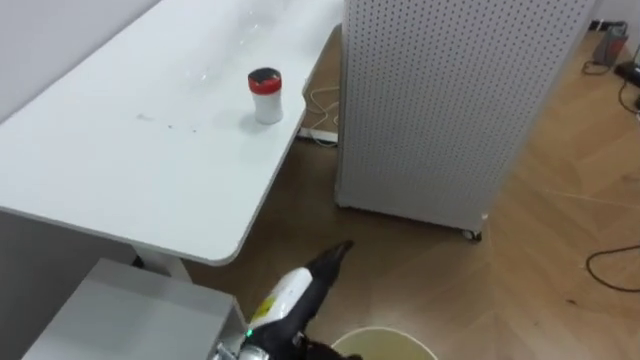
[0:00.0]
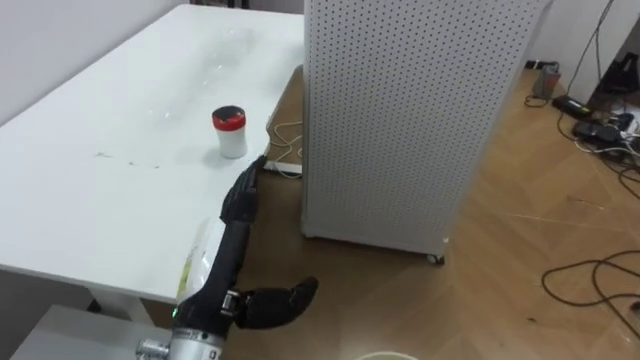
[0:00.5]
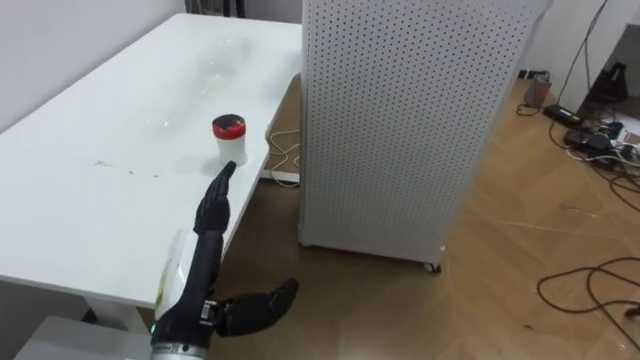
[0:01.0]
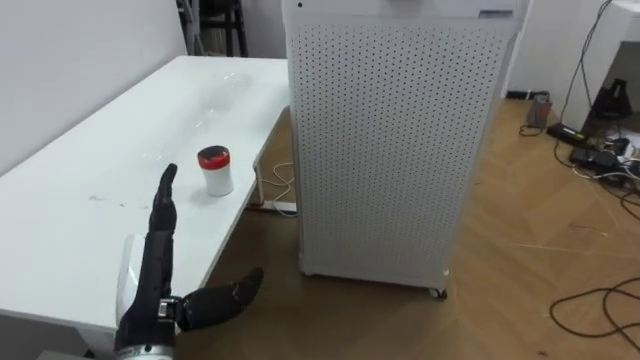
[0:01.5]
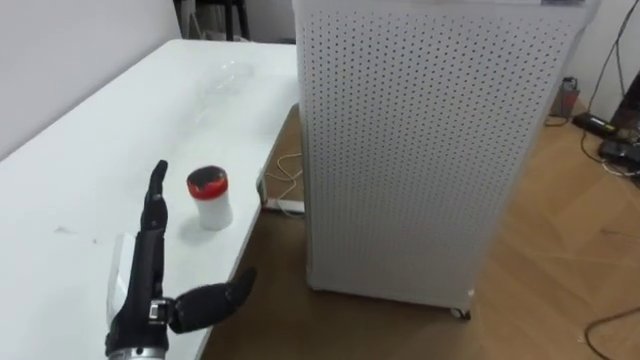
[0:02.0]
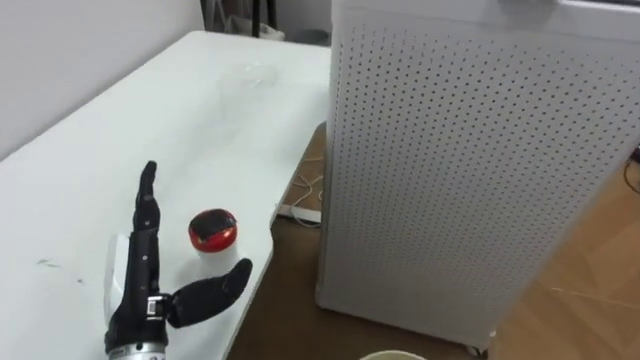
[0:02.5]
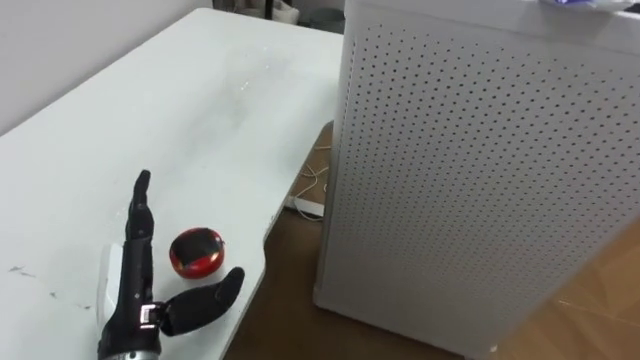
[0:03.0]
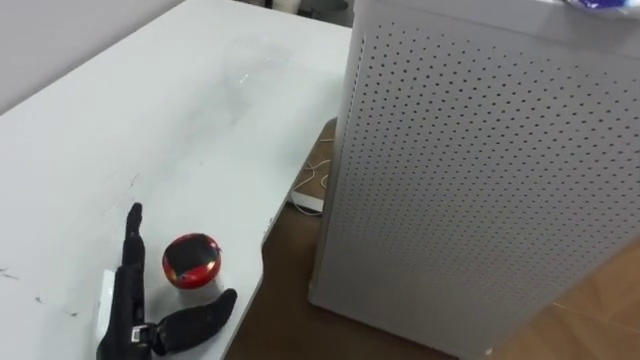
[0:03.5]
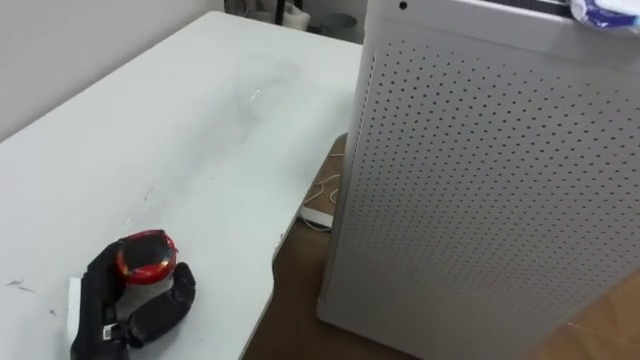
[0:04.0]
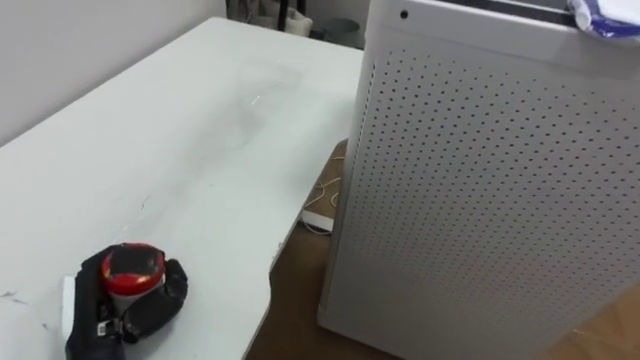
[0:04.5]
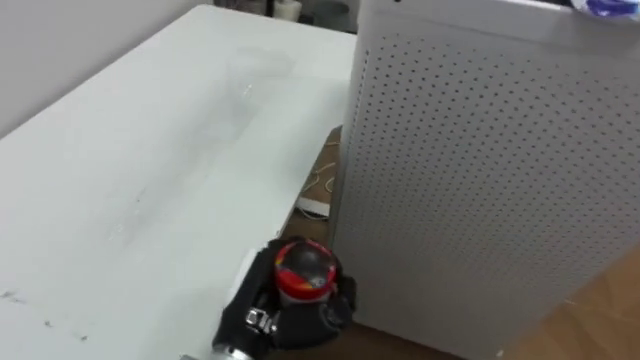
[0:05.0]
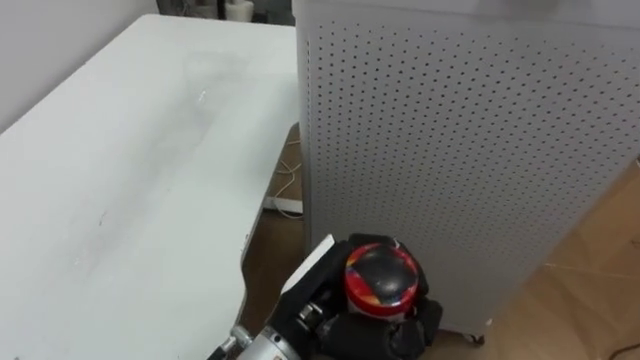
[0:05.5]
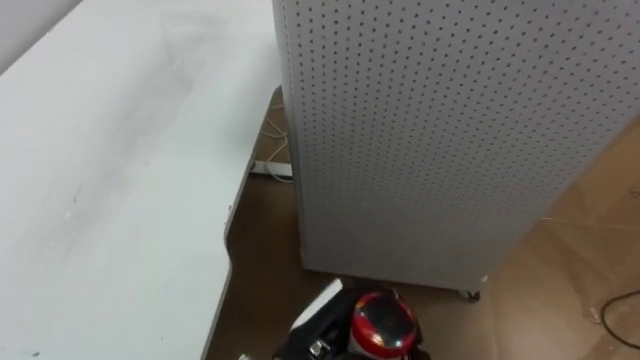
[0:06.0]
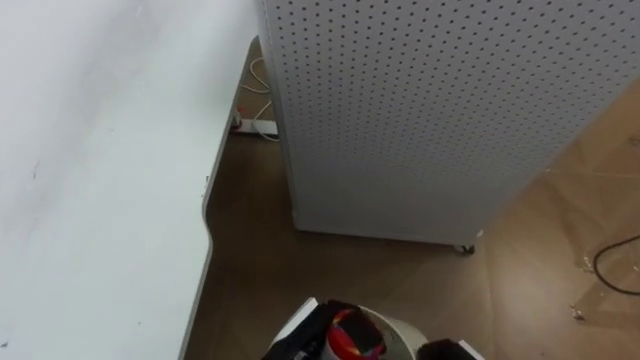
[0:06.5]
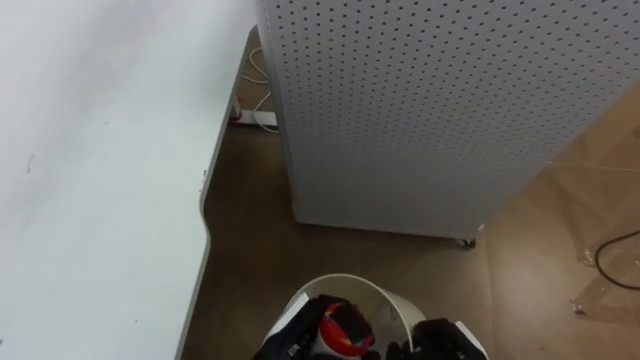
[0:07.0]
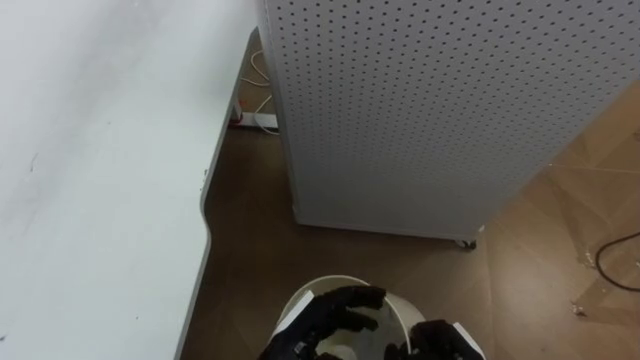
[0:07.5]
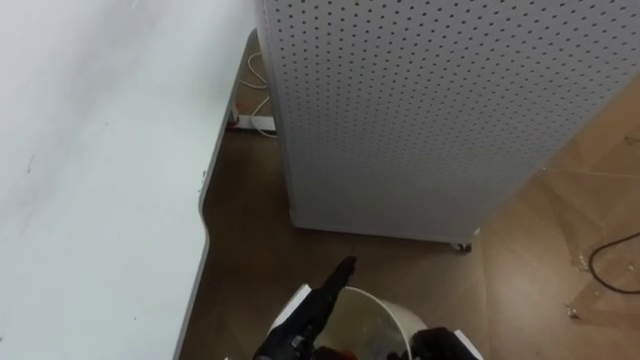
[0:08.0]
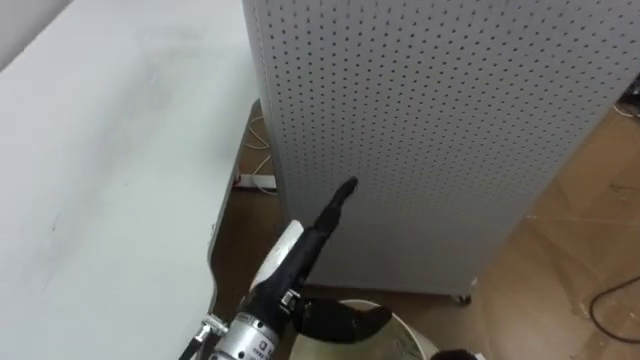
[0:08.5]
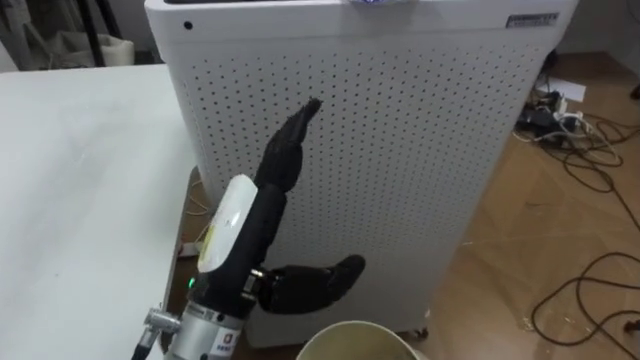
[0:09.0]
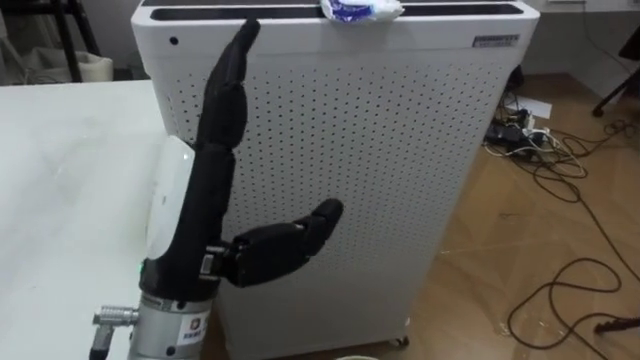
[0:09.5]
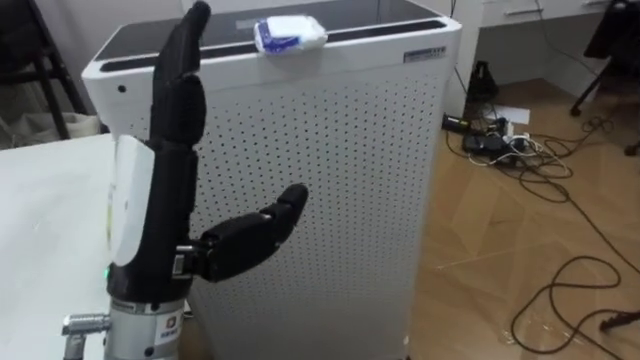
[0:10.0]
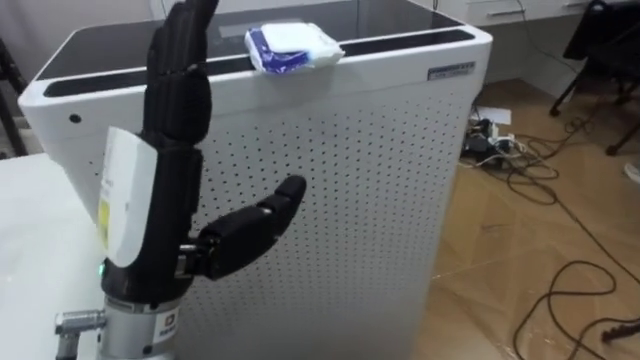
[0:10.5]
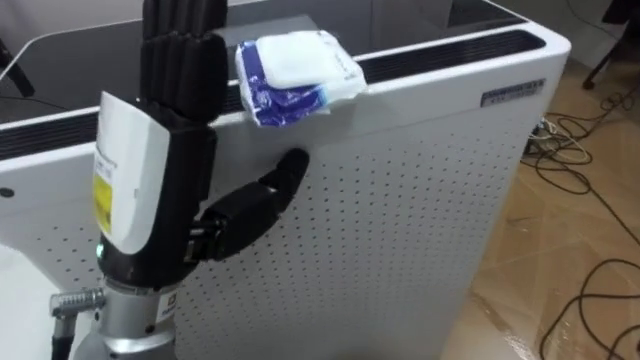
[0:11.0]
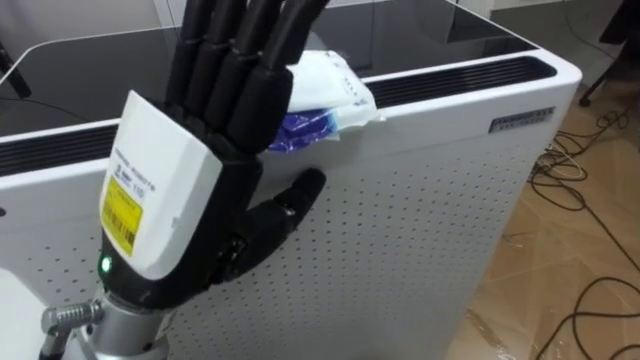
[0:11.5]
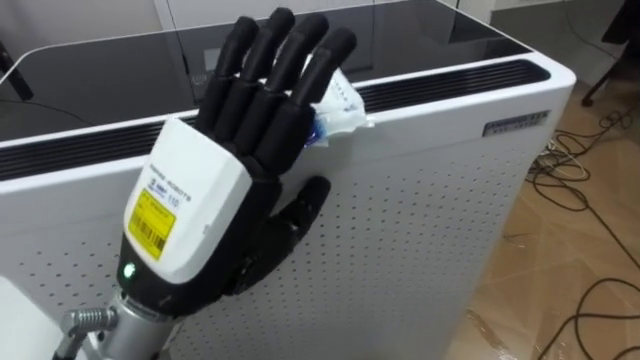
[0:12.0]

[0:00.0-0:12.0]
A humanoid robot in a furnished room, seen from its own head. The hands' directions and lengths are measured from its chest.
Task of the whole recording: Pick up the light blue package, the candy box, and the dark blue package separately, and put them into the trash can held in your right hand.
0:00.0 to 0:02.0: The left hand goes about 15 cm to the left and upward.
0:02.0 to 0:04.0: The left hand is displaced downward by approximately 5 cm, and closes up.
0:04.0 to 0:06.0: The left hand heads to the right, covering roughly 25 cm.
0:06.0 to 0:08.0: The left hand shifts roughly 5 cm downward, and opens up.
0:08.0 to 0:10.0: The robot turns to its right by roughly 20 degrees. The left hand is displaced upward and to the left by about 25 cm.

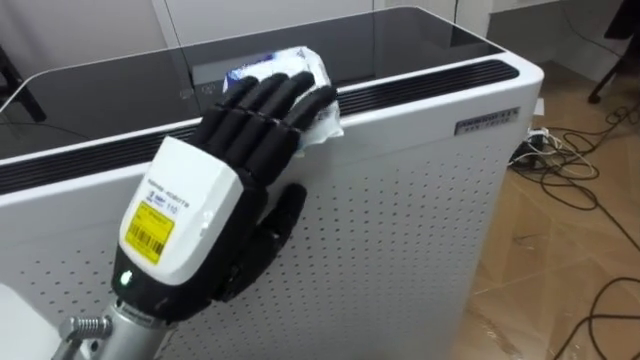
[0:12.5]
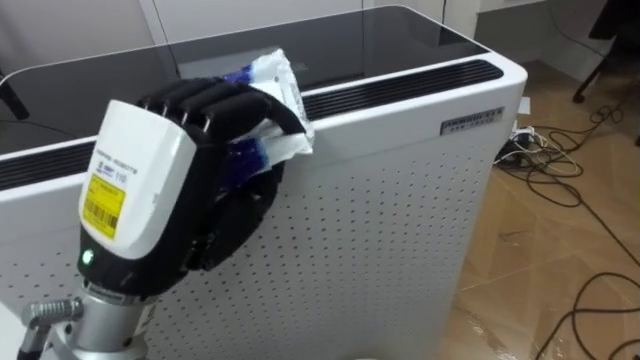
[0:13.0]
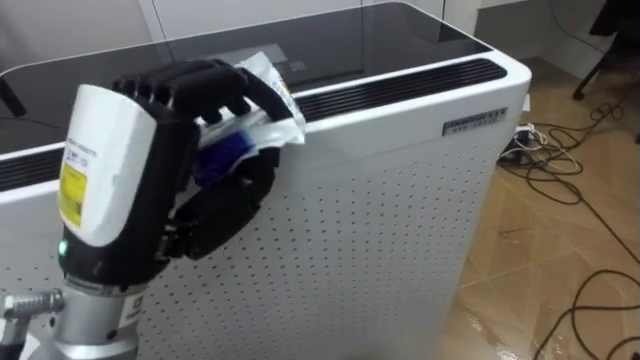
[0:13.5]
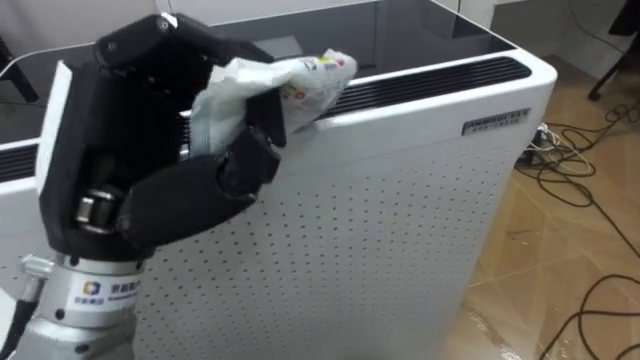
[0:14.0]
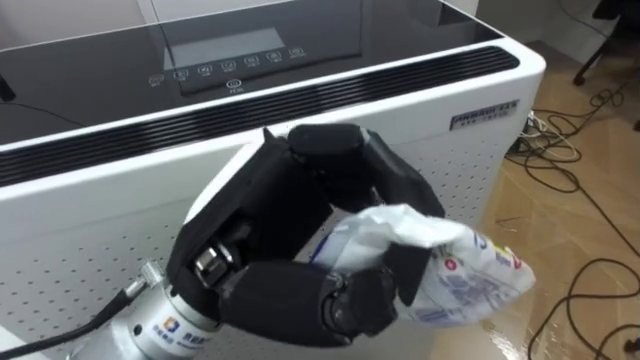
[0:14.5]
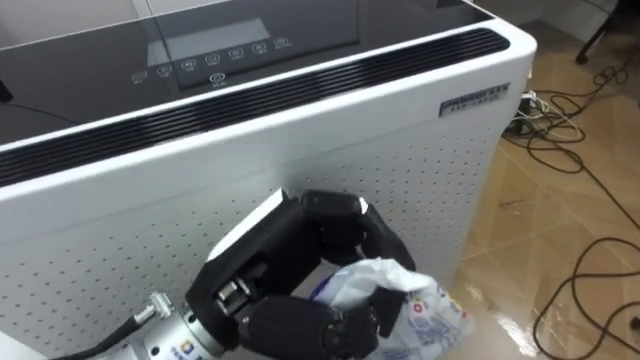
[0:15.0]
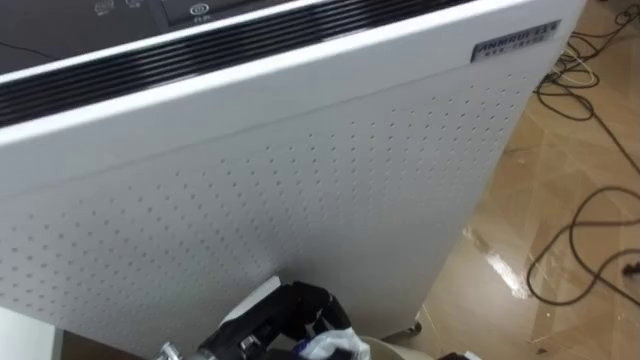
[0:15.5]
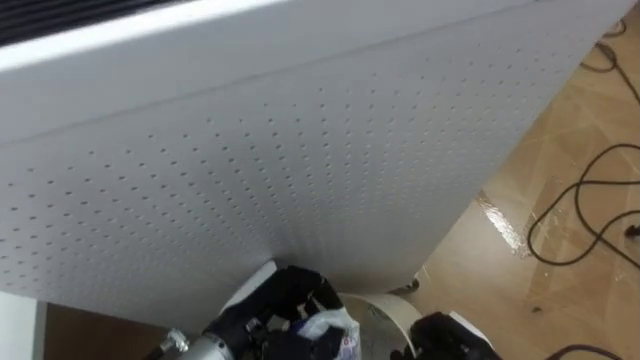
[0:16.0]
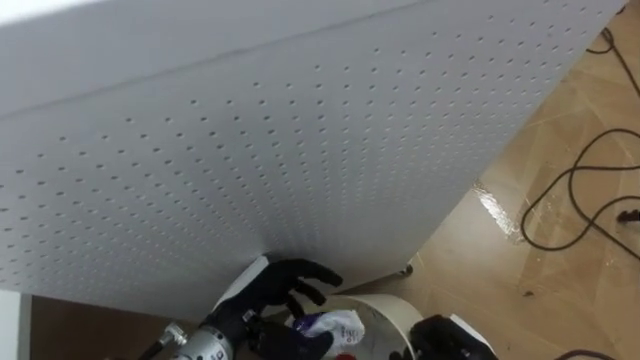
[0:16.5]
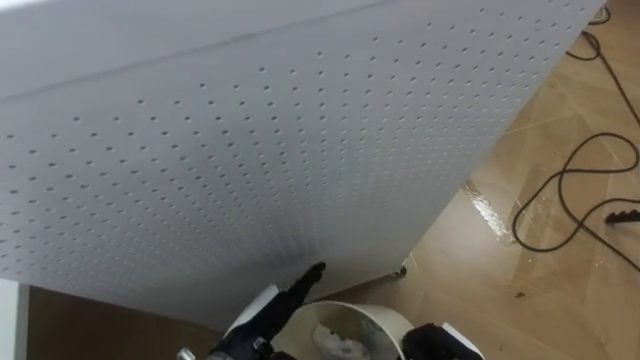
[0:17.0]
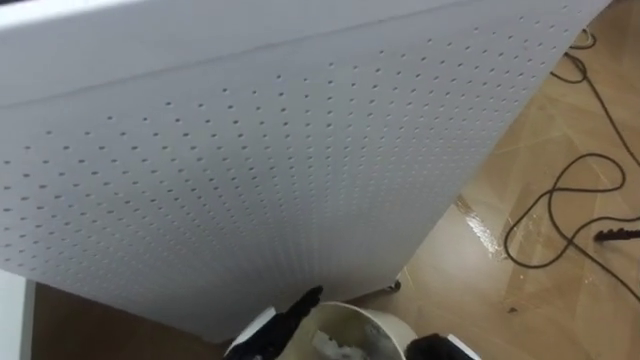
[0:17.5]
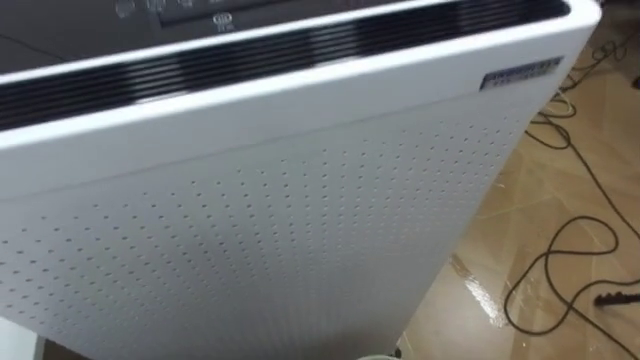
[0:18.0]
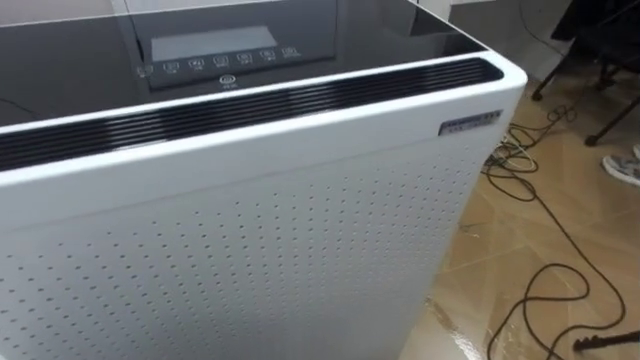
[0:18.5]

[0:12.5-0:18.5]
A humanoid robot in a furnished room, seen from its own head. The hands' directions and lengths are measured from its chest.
Task of the whole recording: Pick up the light blue package, the candy box, and the dark blue package separately, and put them into the trash can held in your right hand.
0:12.5 to 0:14.5: The left hand is displaced to the right by approximately 5 cm, and closes its fingers.
0:14.5 to 0:16.5: The left hand heads downward, covering roughly 20 cm.

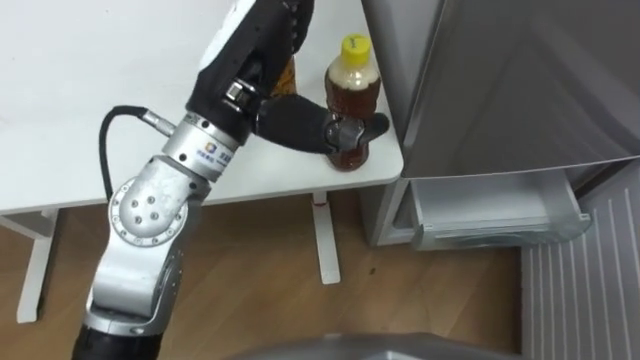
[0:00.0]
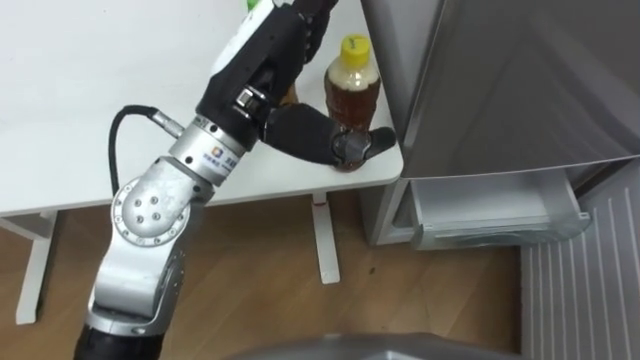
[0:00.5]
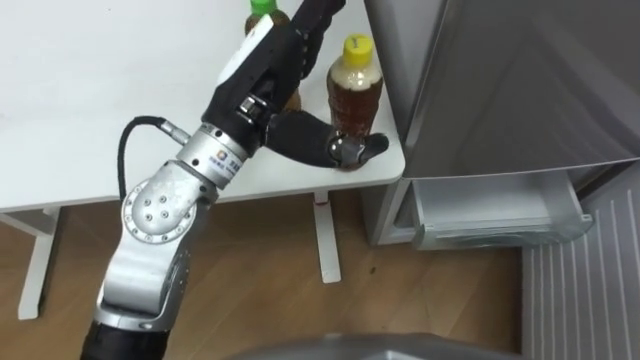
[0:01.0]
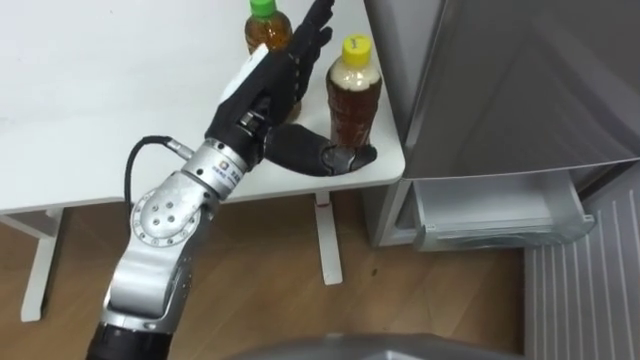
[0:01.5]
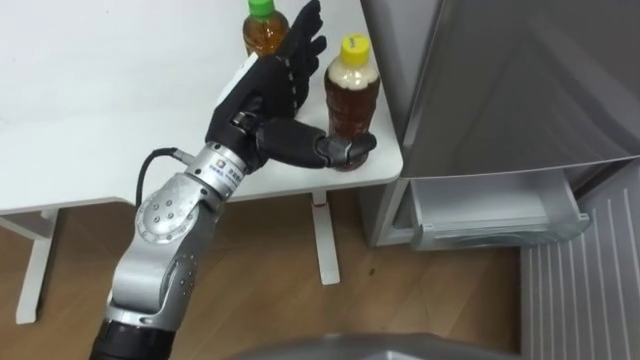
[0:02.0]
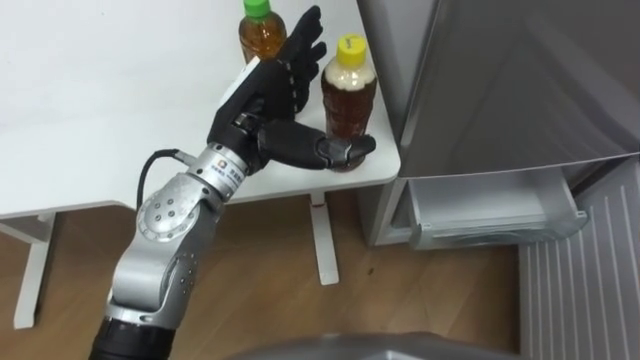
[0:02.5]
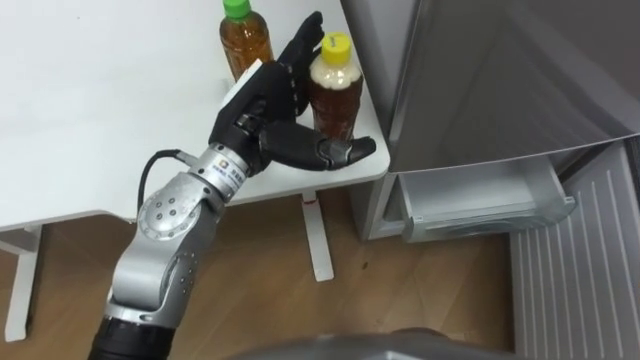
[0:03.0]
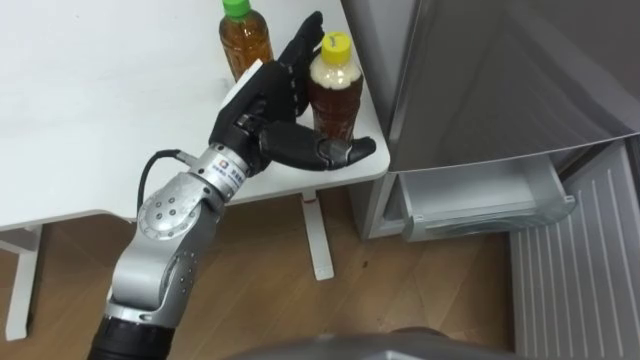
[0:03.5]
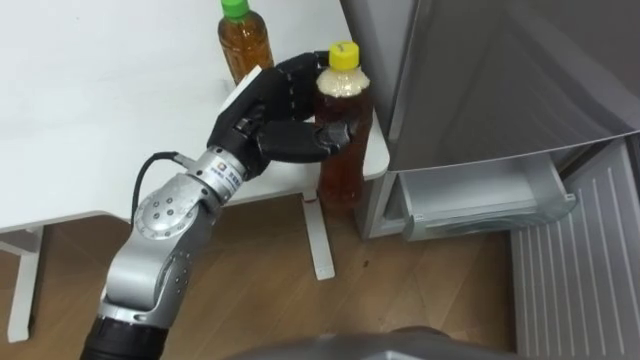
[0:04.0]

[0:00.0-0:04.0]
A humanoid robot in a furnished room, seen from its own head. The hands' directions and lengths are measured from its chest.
Task of the whole recording: Place the drink on the table on the bottom shelf of the refrigerator, then close the drawer and the refrigerator door.
0:00.0 to 0:02.0: The left hand shifts about 10 cm downward.
0:02.0 to 0:04.0: The left hand closes up.
